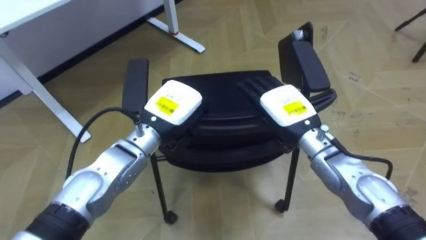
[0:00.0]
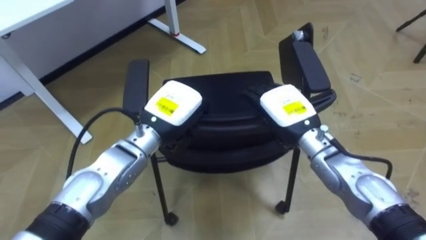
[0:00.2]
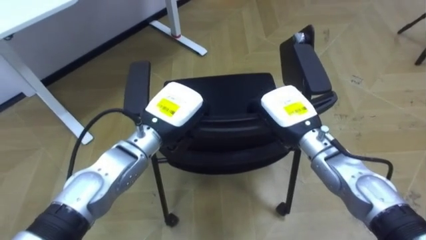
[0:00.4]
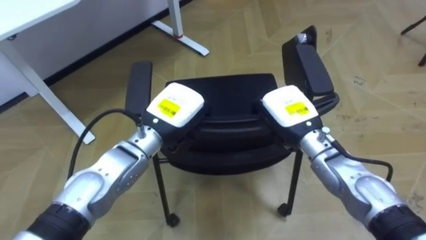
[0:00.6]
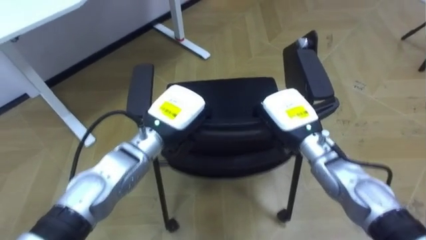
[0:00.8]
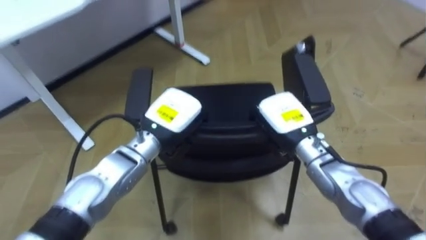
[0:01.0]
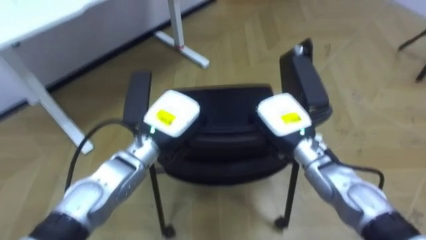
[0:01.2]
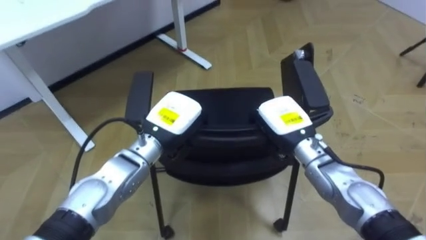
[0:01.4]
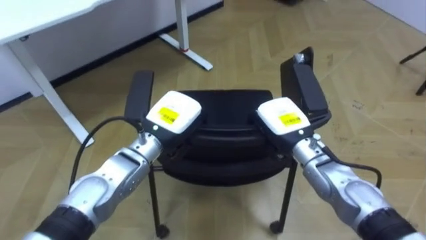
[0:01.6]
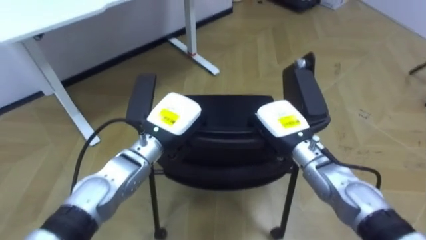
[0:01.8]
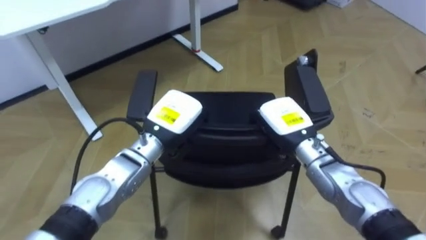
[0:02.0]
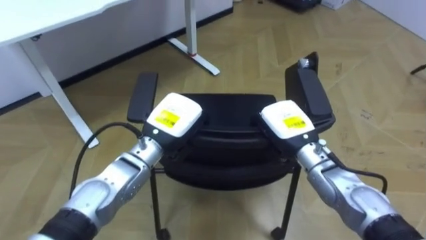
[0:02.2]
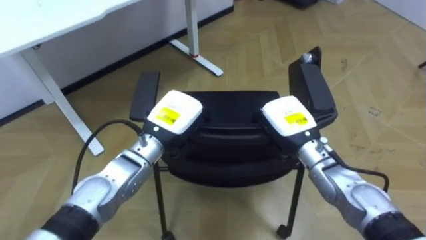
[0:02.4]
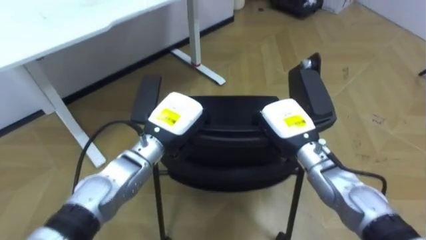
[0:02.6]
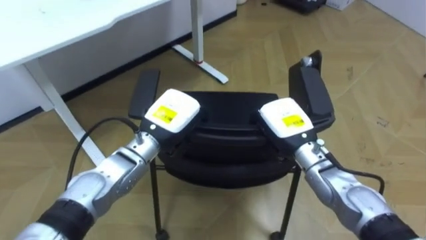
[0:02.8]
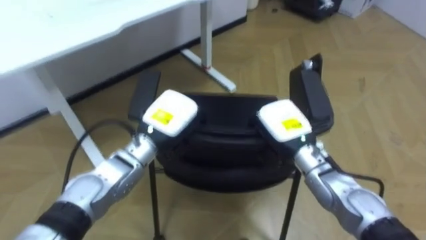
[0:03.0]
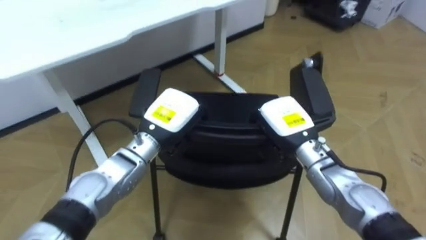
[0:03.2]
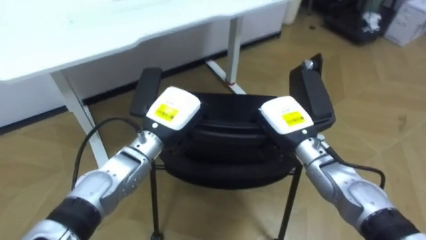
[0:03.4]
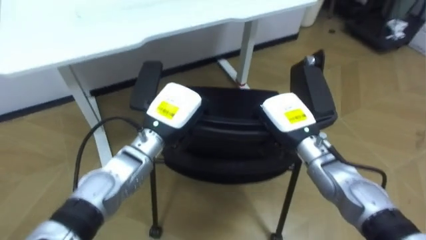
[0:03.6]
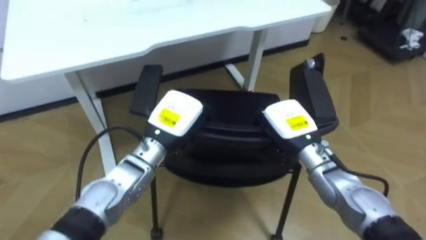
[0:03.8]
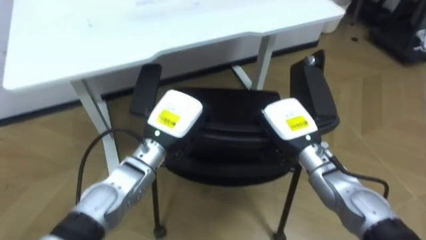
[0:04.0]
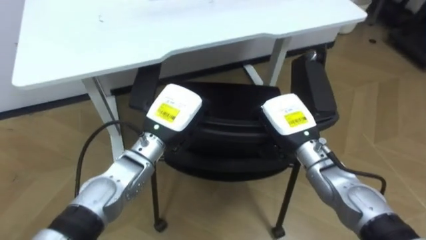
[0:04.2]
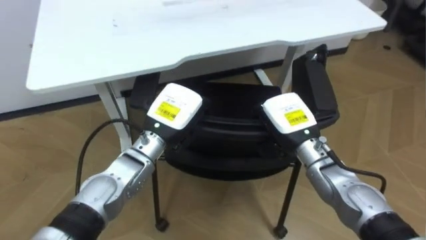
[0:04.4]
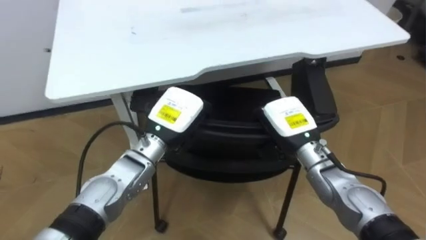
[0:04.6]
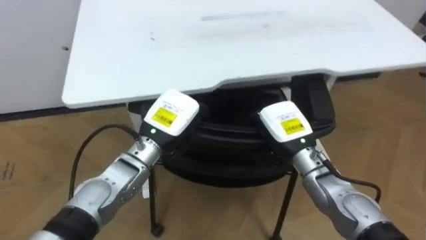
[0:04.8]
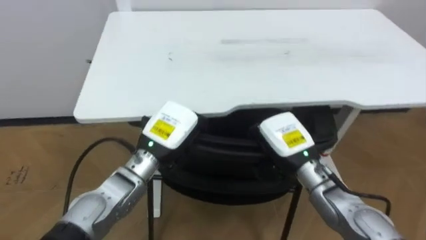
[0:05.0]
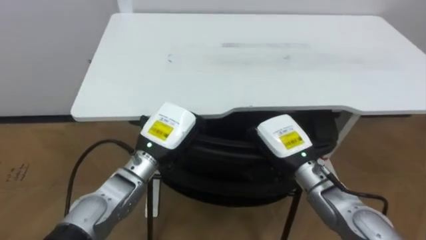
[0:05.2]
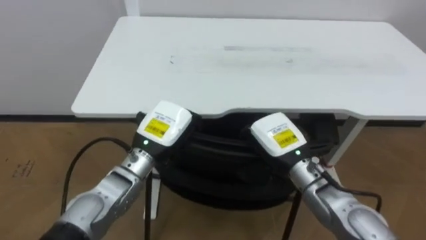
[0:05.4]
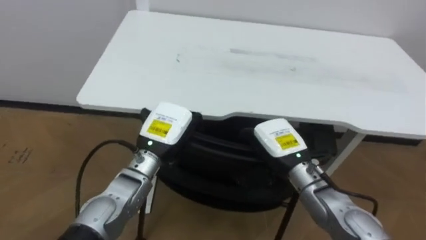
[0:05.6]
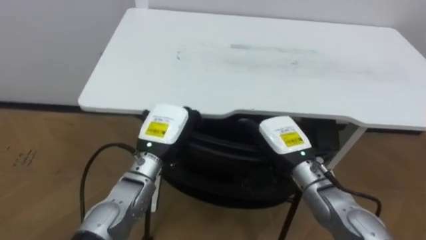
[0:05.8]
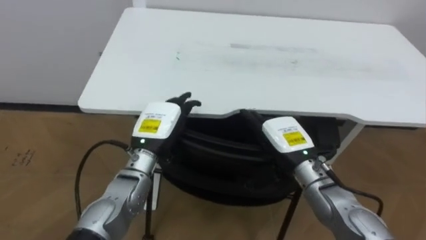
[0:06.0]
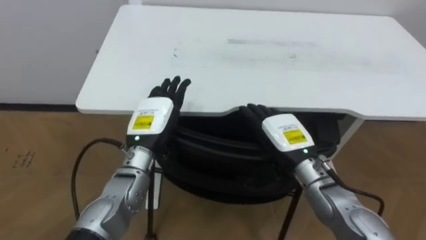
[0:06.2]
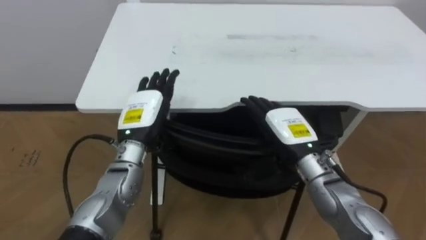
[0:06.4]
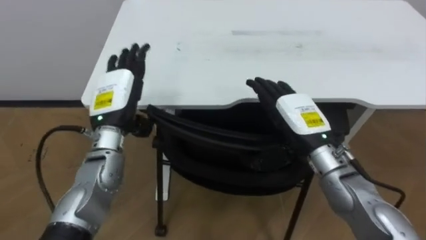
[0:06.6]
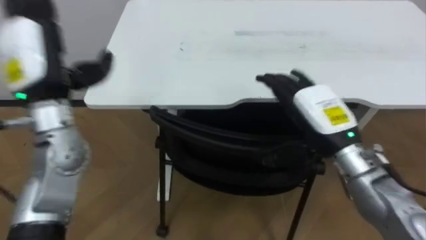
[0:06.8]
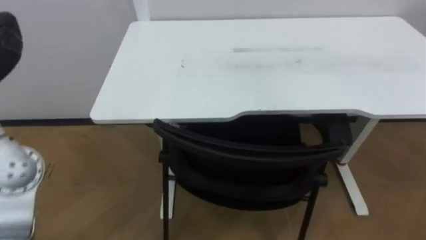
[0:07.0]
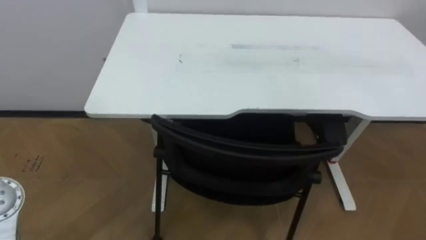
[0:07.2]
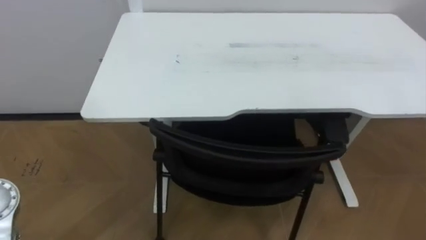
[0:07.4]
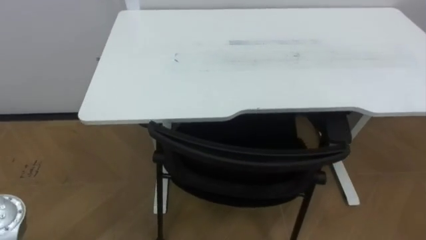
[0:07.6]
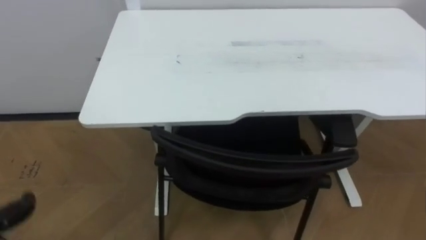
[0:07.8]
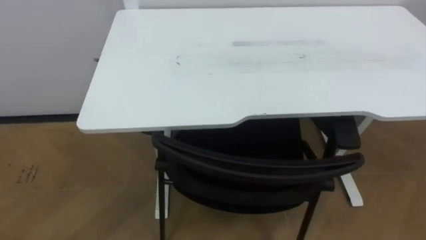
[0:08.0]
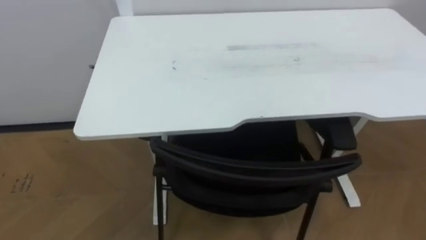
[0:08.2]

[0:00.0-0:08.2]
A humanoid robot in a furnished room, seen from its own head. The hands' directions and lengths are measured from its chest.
Task of the whole recording: Push the chair under the table.
0:00.0 to 0:01.6: The right hand closes its fingers.
0:03.2 to 0:05.0: The robot rotates some 30 degrees to its left.
0:05.0 to 0:06.6: The left hand goes roughly 10 cm to the left, and opens up. Meanwhile the right hand goes approximately 5 cm upward, and opens up.

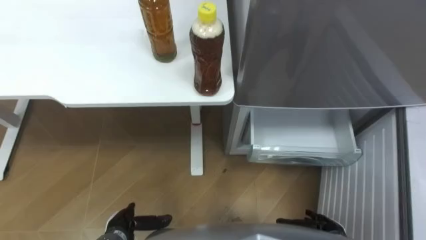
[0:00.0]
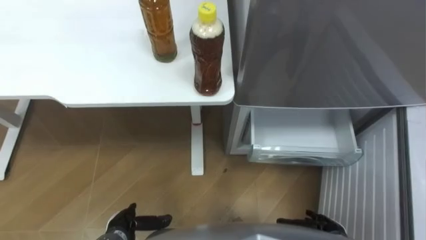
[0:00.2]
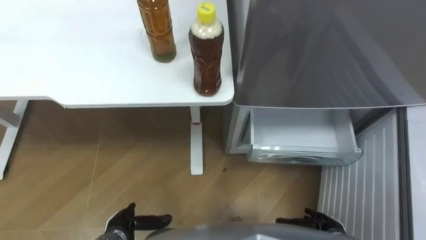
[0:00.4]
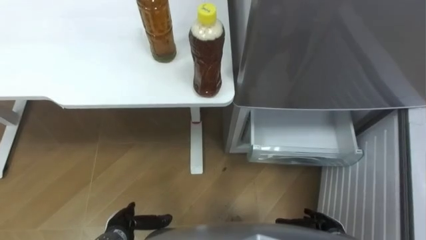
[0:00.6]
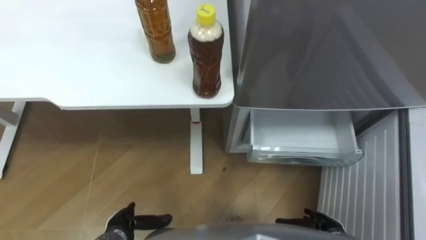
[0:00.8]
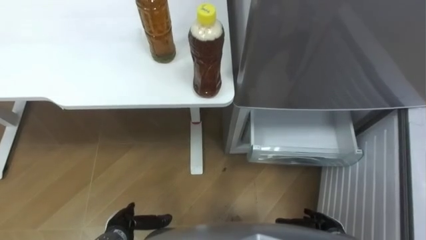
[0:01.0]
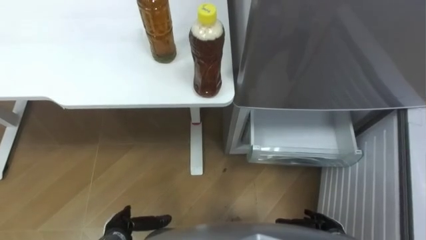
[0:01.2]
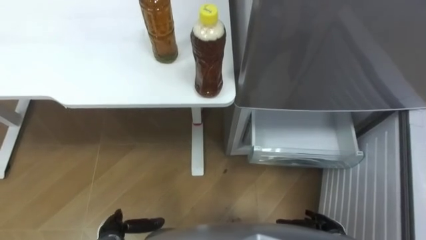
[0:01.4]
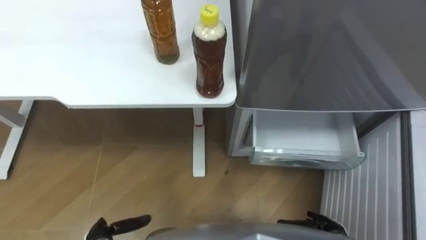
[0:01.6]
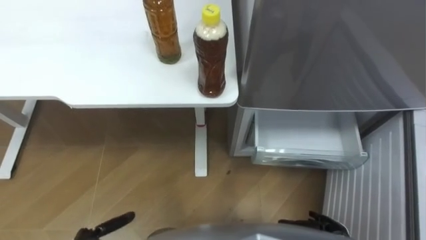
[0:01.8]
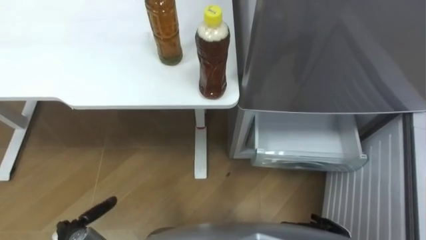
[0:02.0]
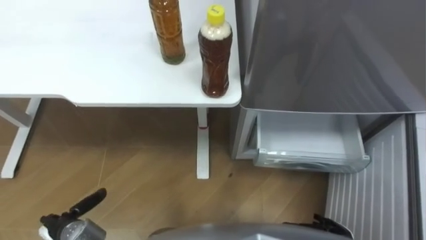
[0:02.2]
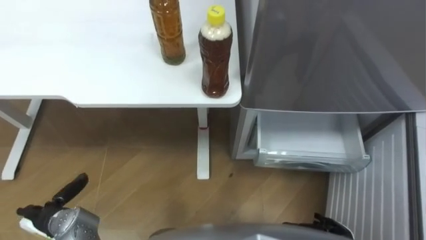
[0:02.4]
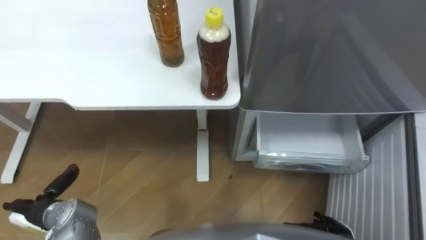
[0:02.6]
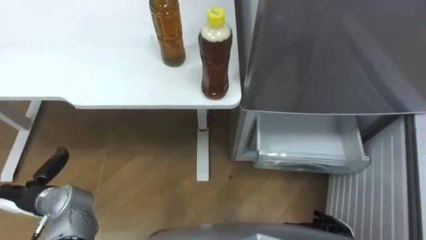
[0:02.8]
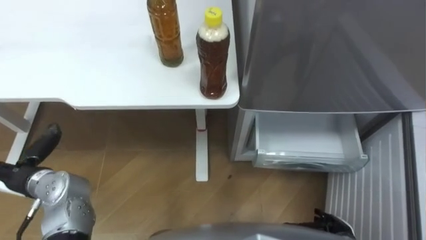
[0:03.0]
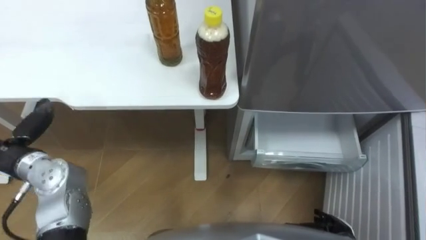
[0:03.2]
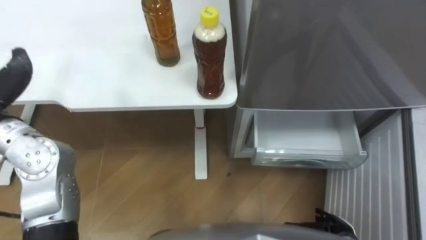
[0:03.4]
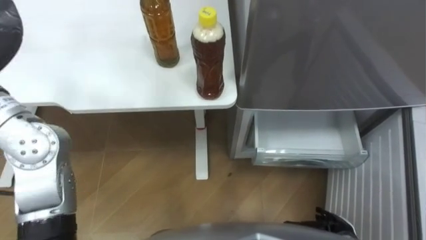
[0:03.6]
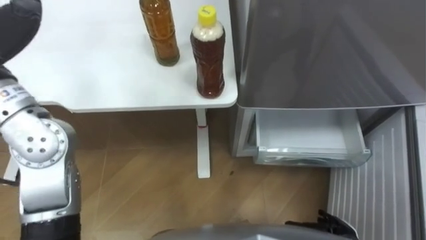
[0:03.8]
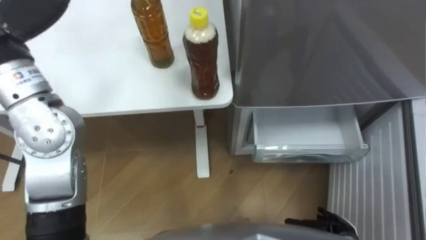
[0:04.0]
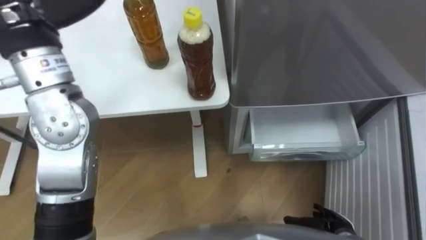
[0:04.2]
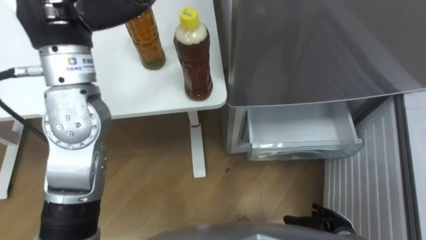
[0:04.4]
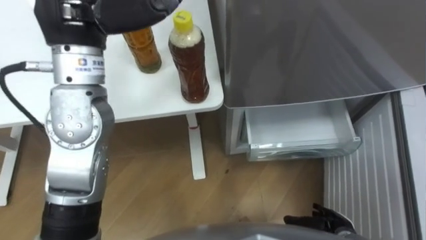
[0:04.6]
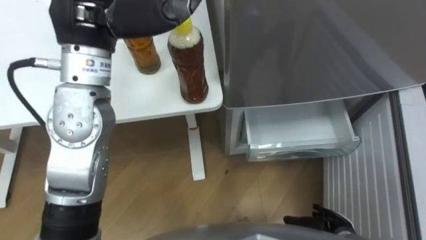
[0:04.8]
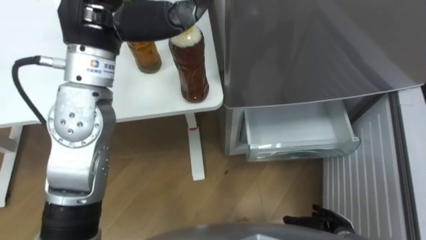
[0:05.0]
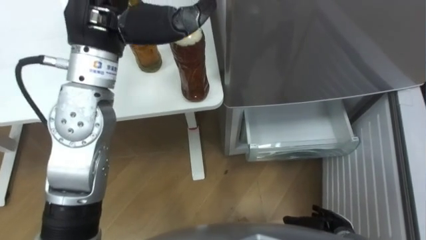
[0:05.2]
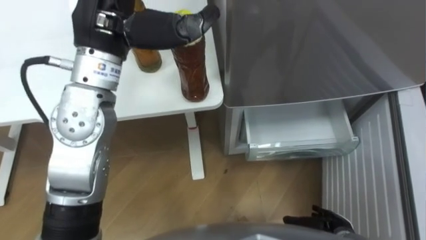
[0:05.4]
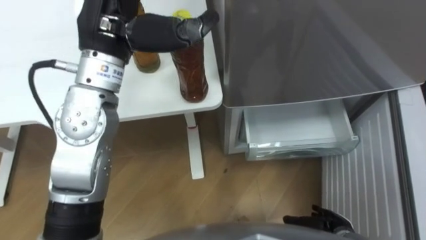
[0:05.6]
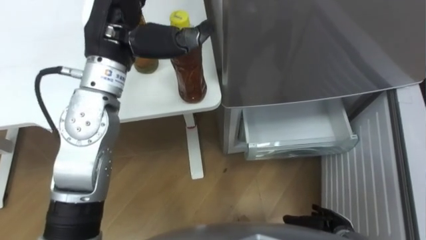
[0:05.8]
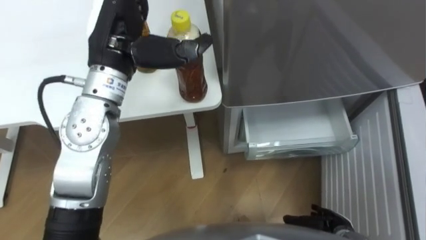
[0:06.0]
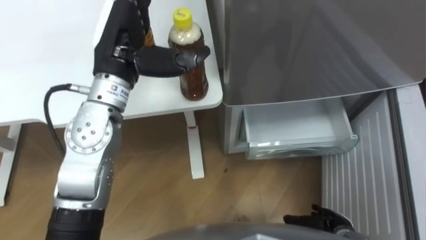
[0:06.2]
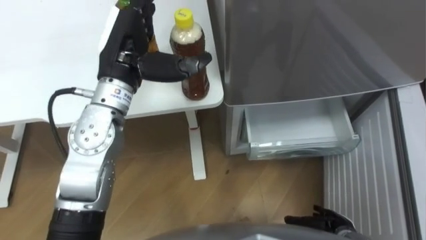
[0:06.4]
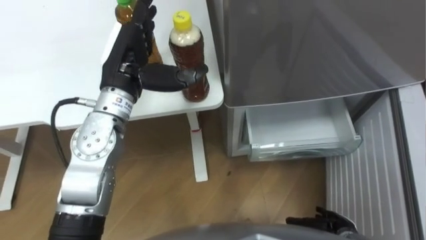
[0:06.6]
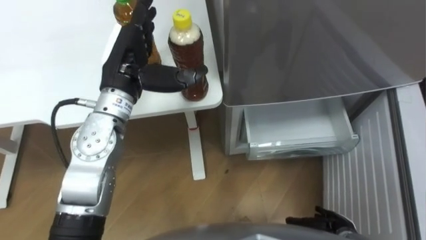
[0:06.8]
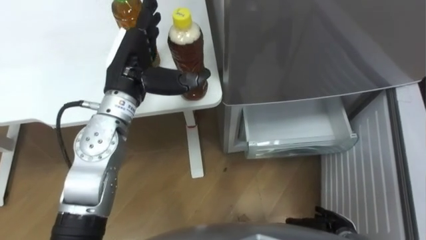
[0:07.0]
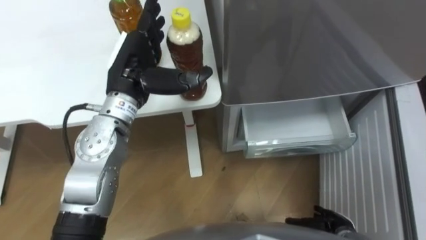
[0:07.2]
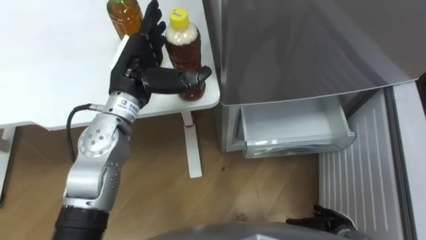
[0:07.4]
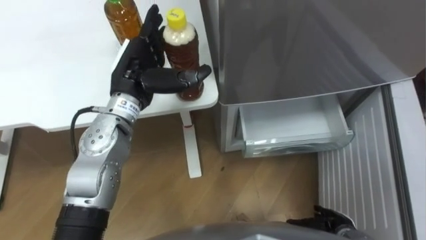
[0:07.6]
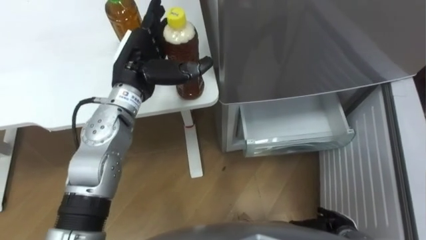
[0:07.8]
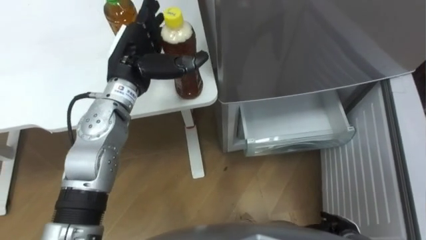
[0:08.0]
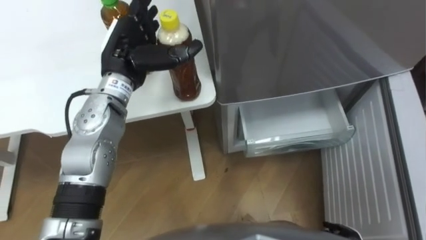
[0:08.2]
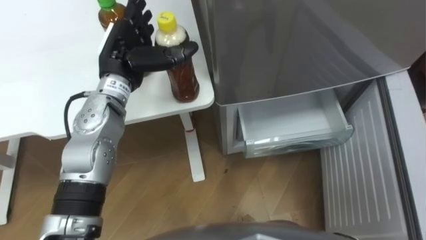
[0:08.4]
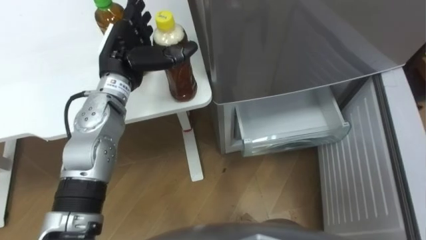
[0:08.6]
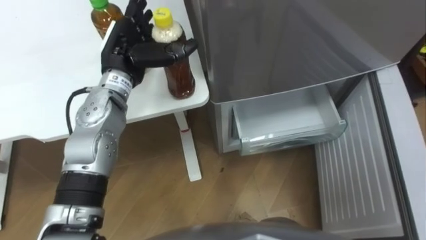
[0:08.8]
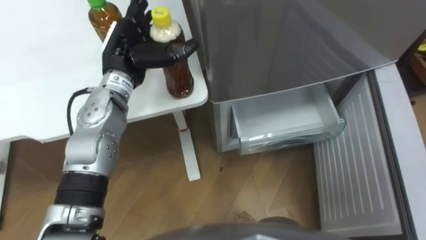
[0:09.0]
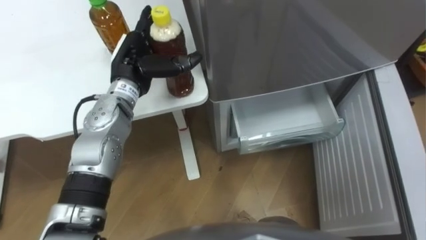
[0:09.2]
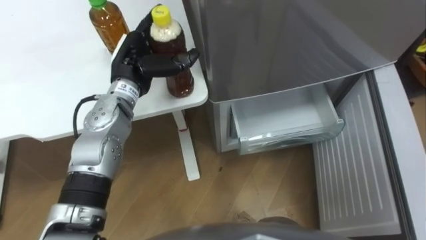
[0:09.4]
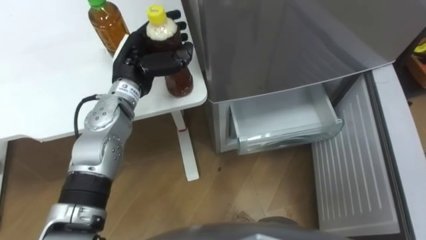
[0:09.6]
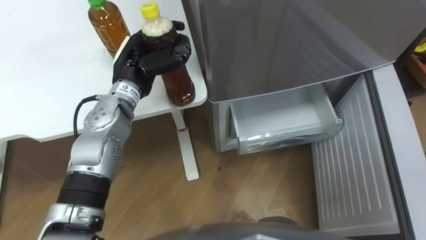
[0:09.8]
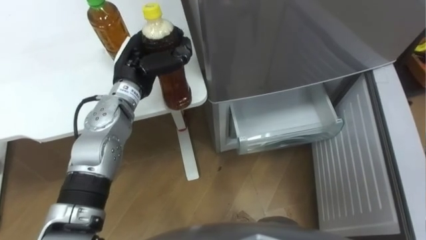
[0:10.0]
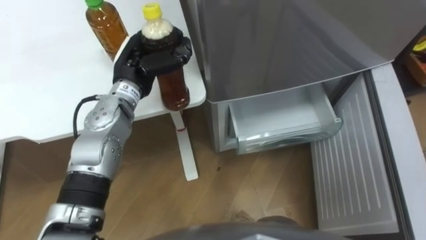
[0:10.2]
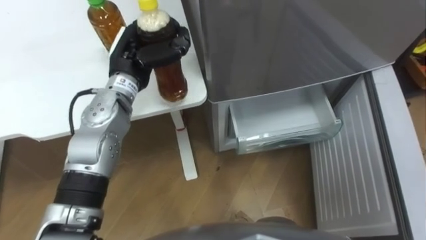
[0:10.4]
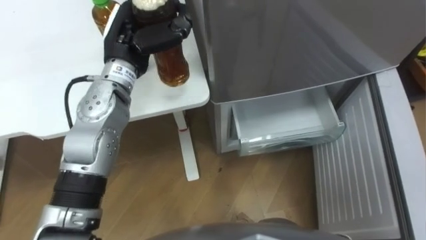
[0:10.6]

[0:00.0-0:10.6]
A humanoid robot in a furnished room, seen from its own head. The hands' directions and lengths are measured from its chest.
Task of the whole recording: Place the drink on the table on the bottom shelf of the refrigerator, then close the drawer and the refrigerator door.
0:04.6 to 0:06.0: The left hand goes approximately 5 cm downward.
0:06.0 to 0:07.6: The left hand shifts approximately 10 cm downward.
0:09.0 to 0:10.6: The left hand closes its fingers.
